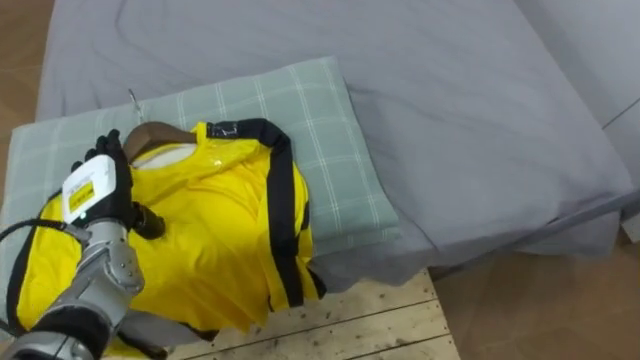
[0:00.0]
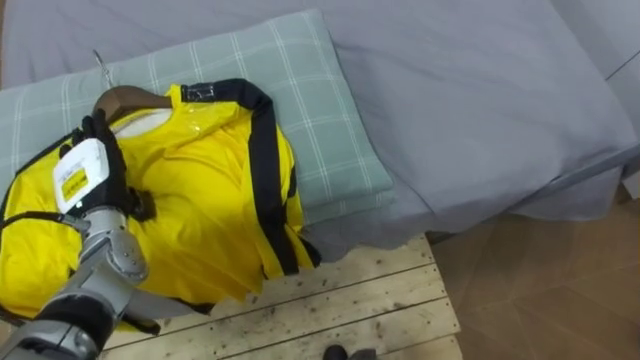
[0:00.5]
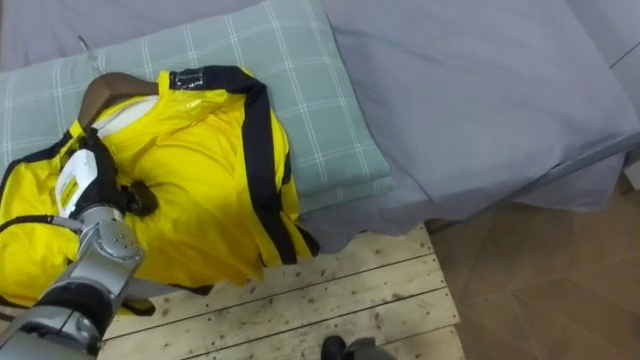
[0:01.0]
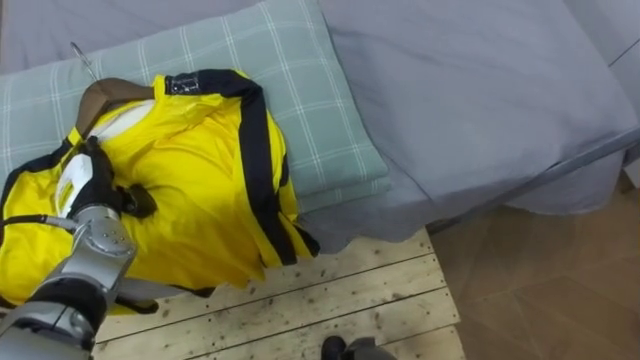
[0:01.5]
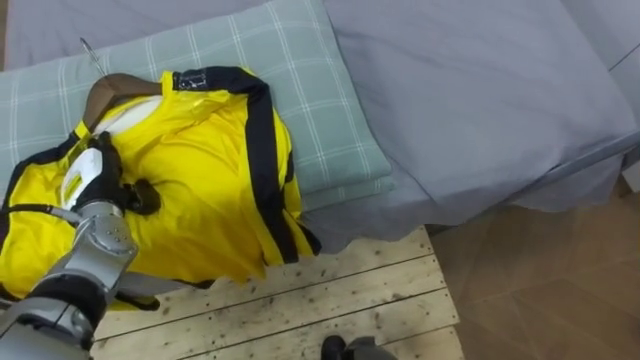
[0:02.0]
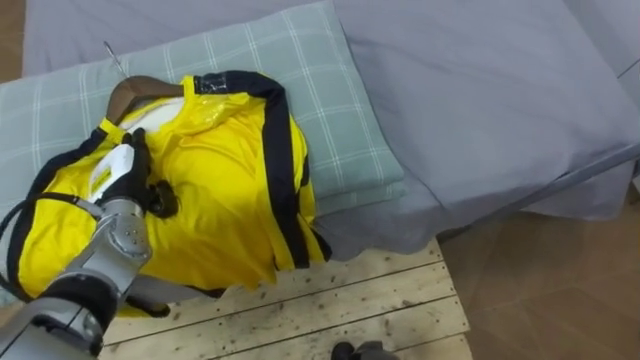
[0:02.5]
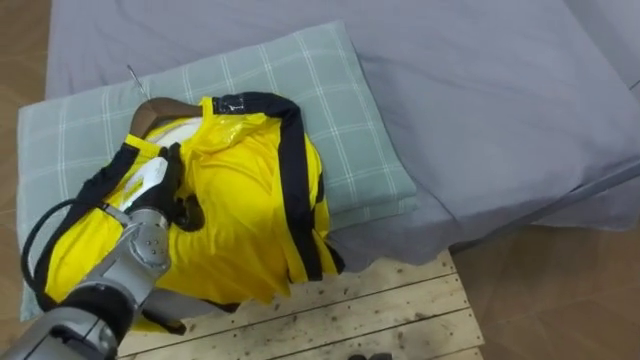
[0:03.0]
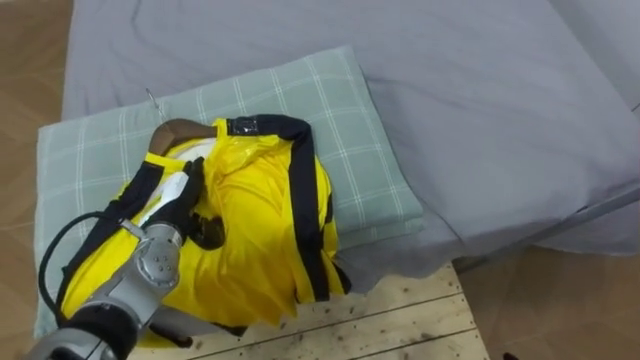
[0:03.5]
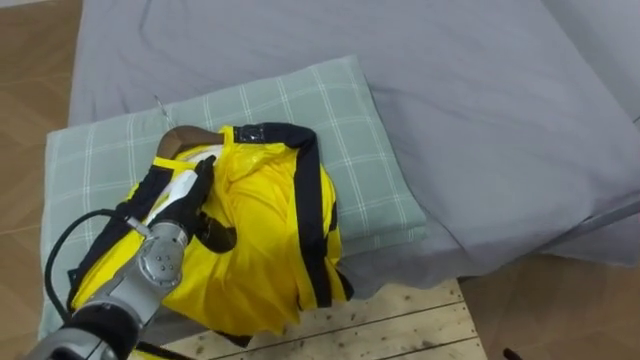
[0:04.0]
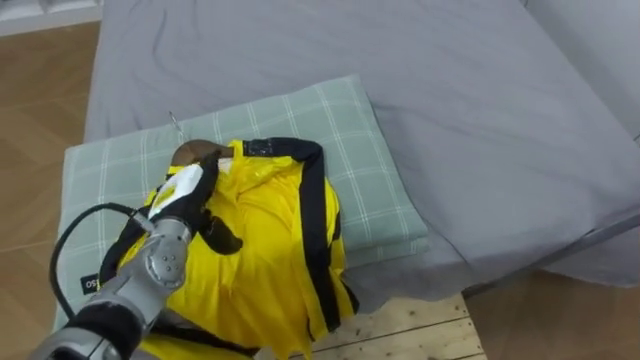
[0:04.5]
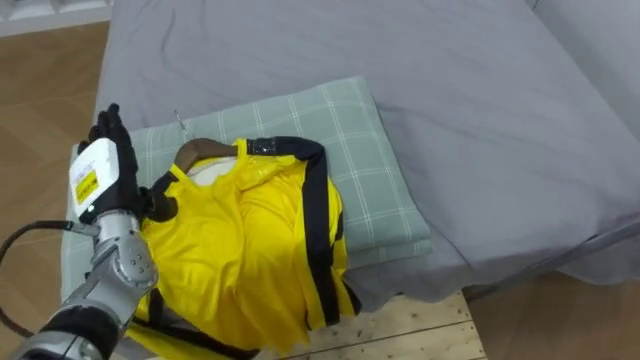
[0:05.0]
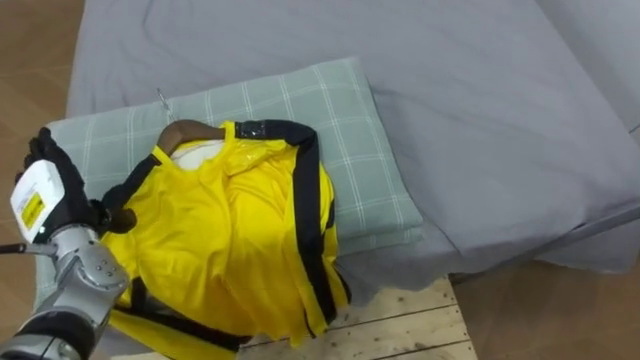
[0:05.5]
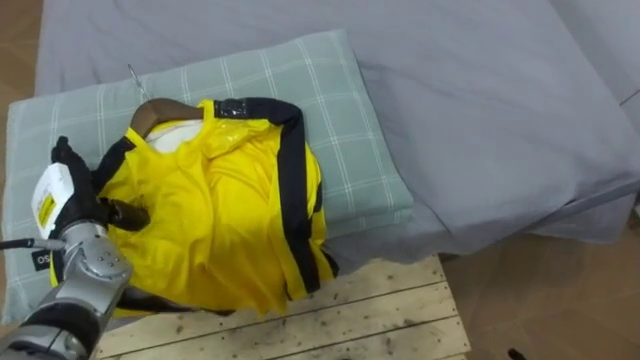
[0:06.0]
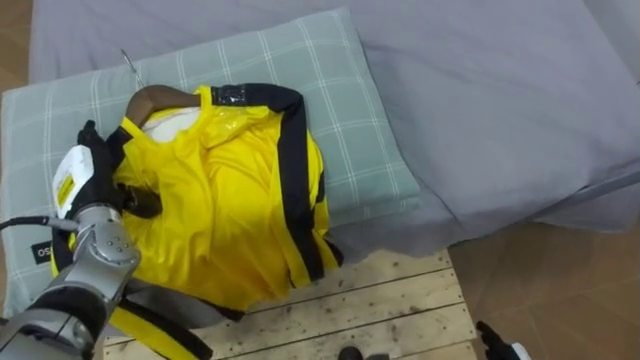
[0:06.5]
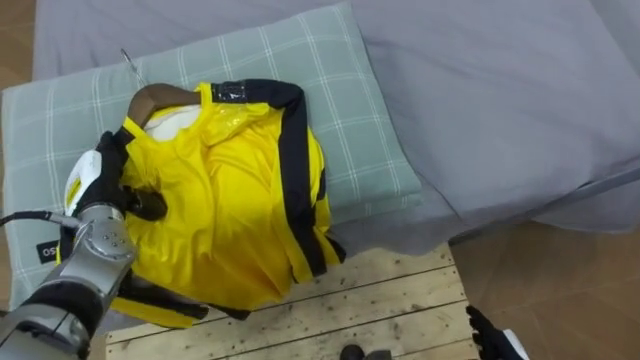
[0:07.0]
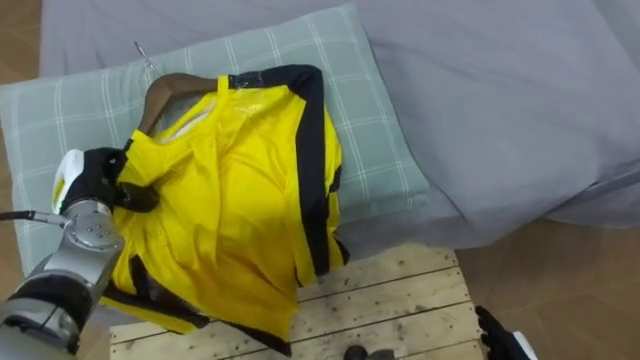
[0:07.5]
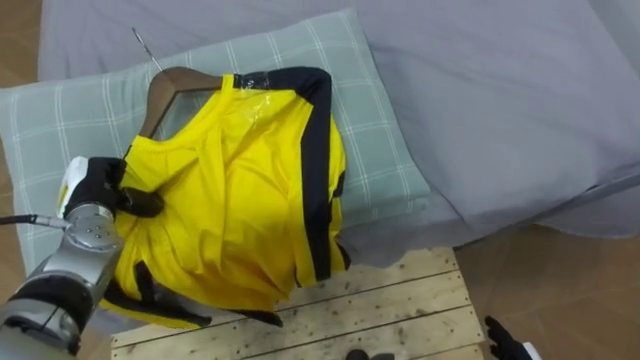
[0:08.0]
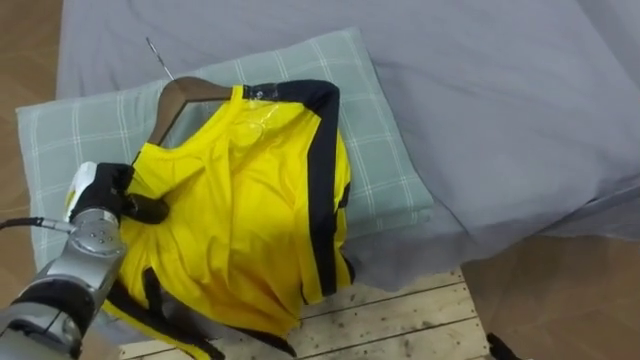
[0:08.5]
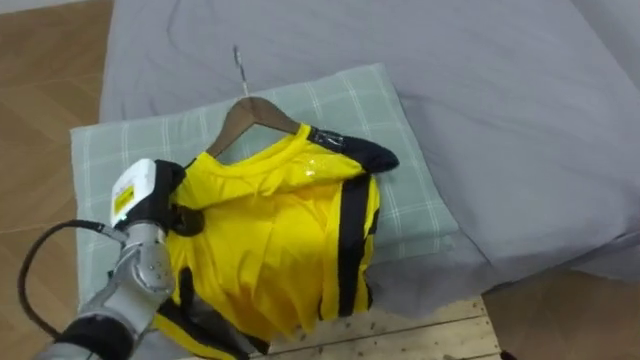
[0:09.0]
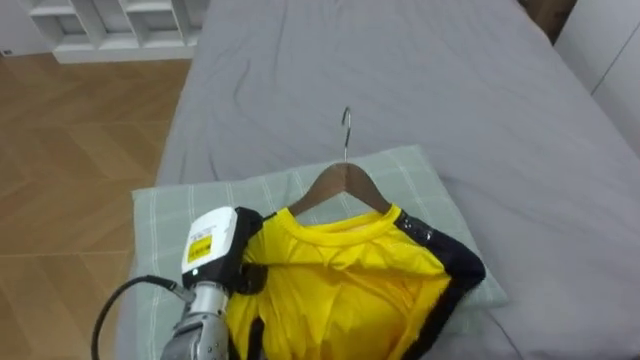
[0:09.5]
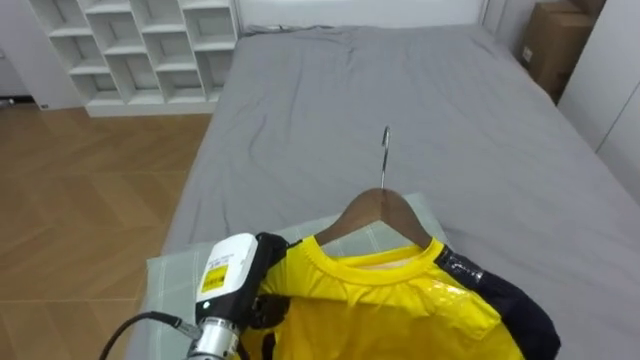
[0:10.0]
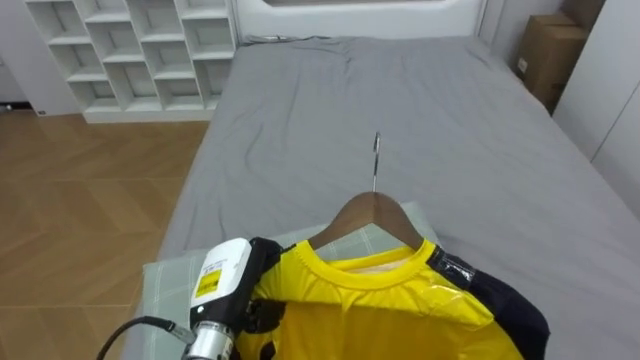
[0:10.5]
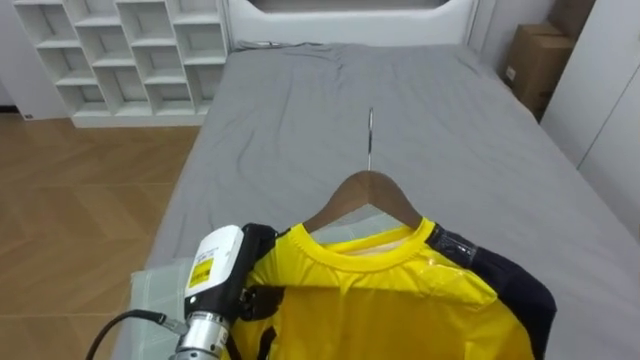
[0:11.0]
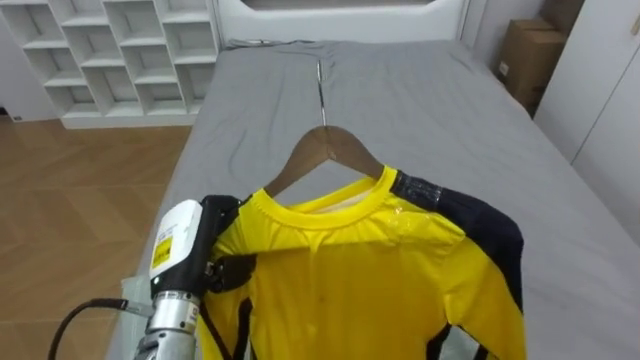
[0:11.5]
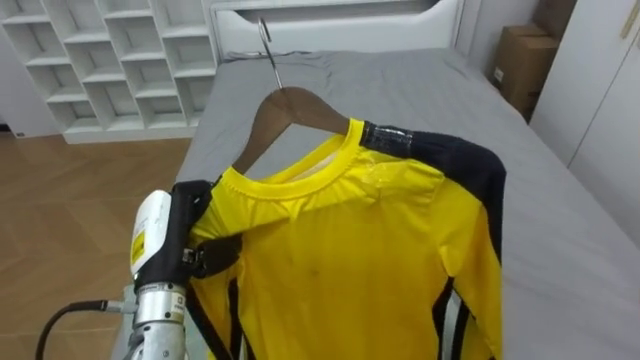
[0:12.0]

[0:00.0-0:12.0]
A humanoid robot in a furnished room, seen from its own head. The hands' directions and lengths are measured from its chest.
Task of the whole recording: Pick up the yellow shirt on the bed and hang it on the clothes rack on the right.
0:02.0 to 0:04.0: The left hand heads to the right, covering some 10 cm.
0:04.0 to 0:06.0: The left hand heads to the left, covering about 10 cm.
0:06.0 to 0:08.0: The left hand closes.
0:08.0 to 0:10.0: The left hand shifts some 20 cm to the right and backward.
0:10.0 to 0:12.0: The left hand goes approximately 10 cm to the left and upward.

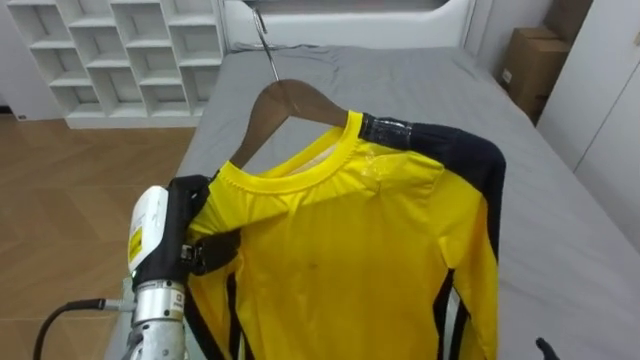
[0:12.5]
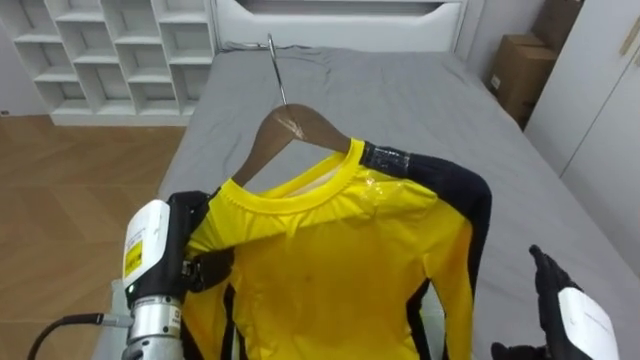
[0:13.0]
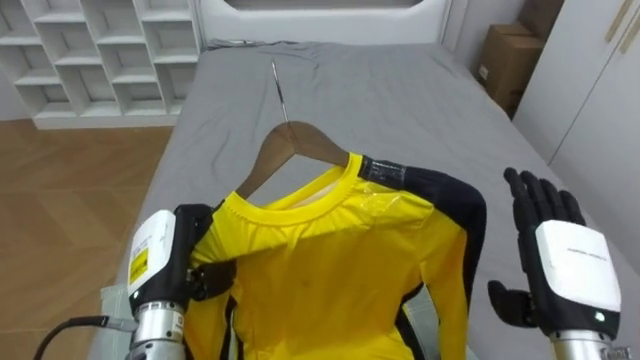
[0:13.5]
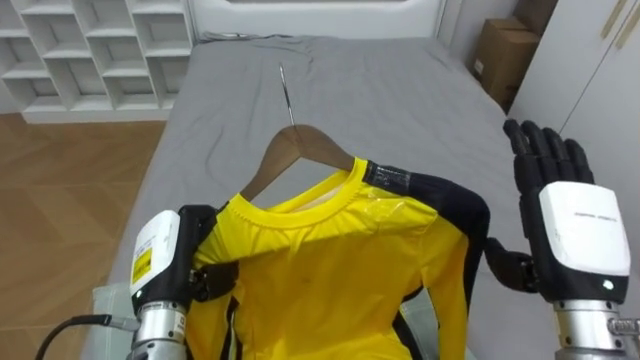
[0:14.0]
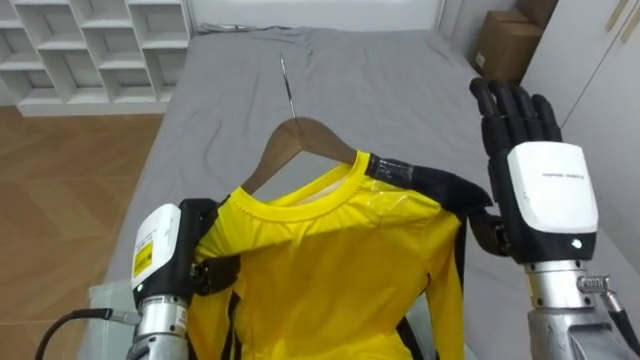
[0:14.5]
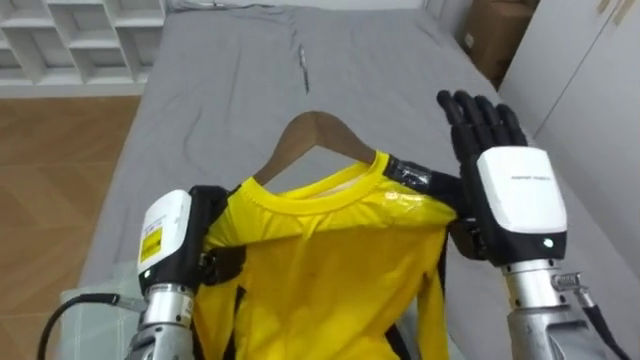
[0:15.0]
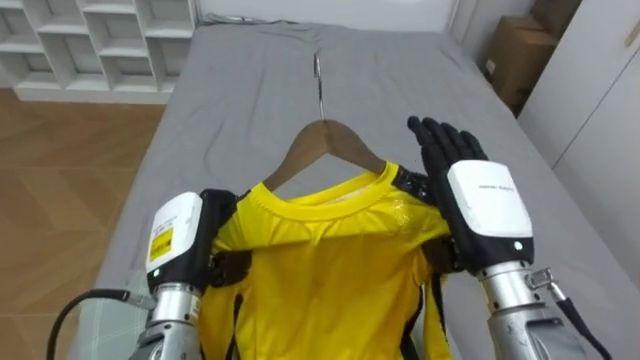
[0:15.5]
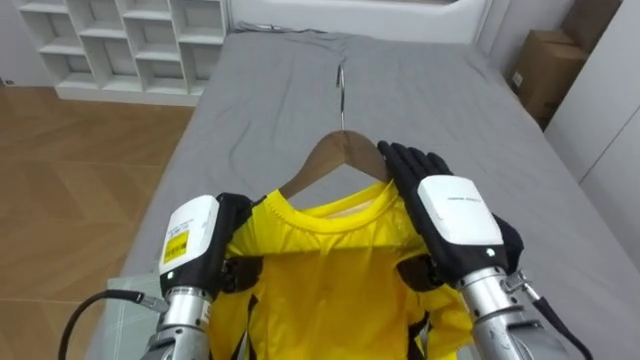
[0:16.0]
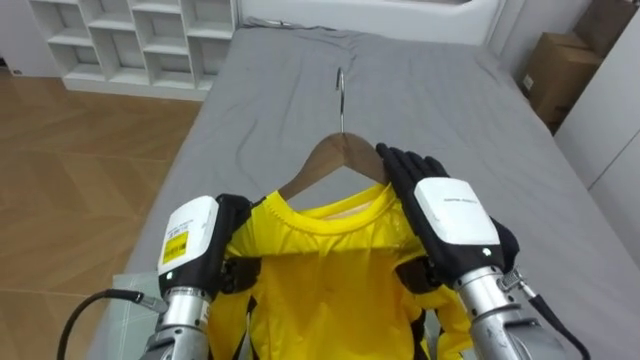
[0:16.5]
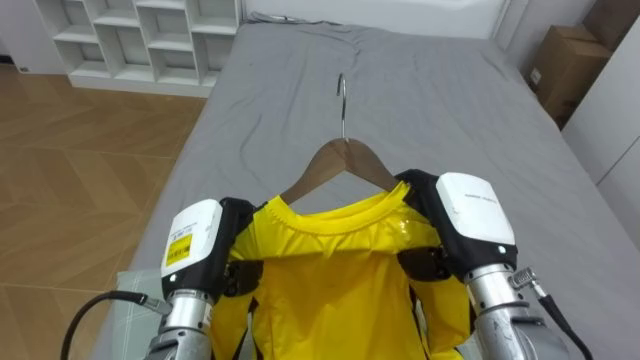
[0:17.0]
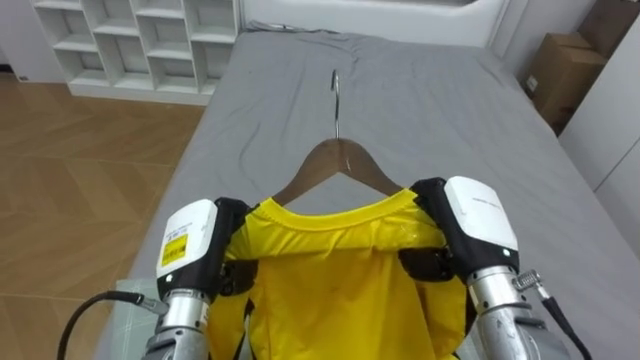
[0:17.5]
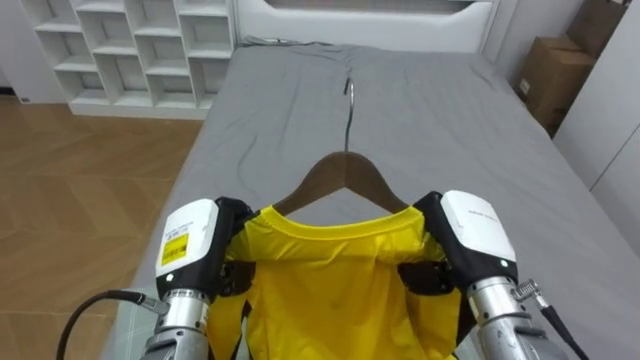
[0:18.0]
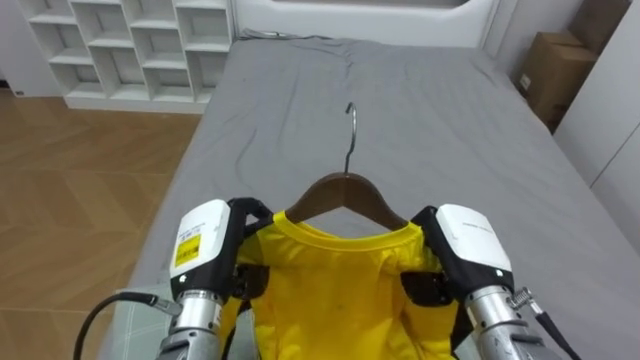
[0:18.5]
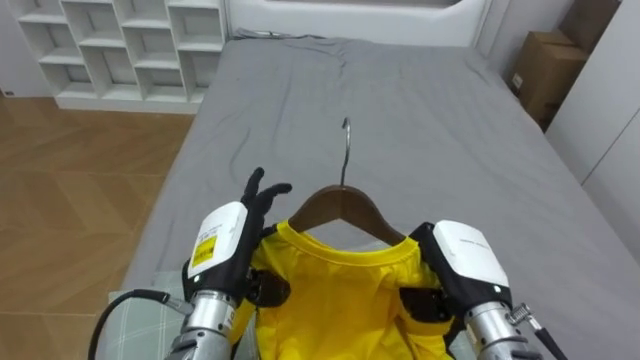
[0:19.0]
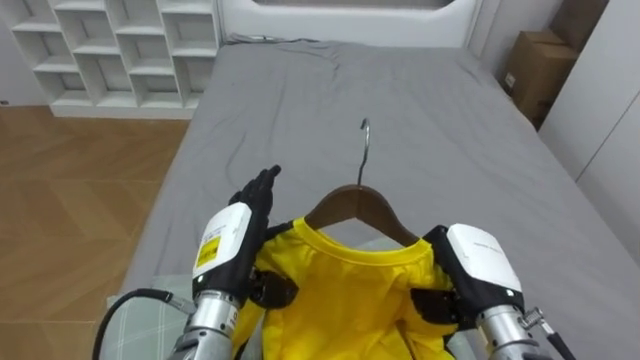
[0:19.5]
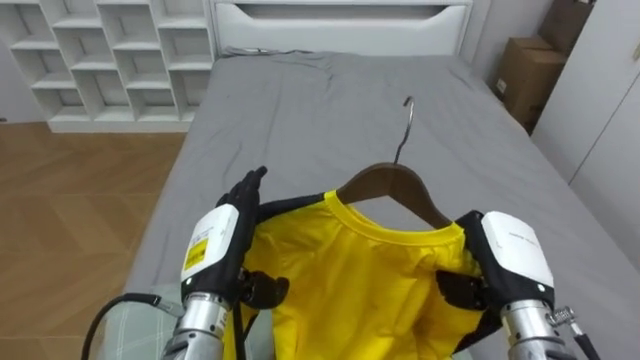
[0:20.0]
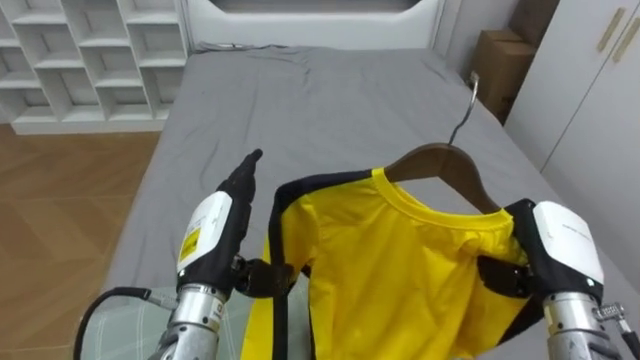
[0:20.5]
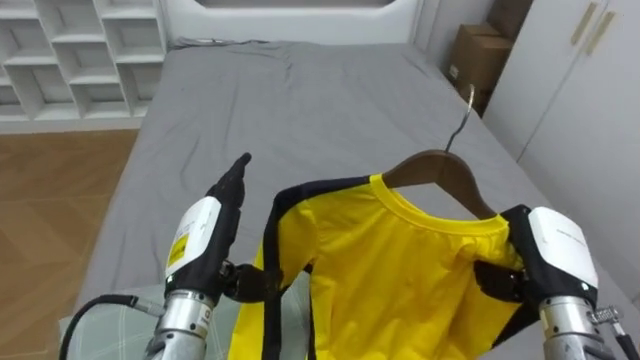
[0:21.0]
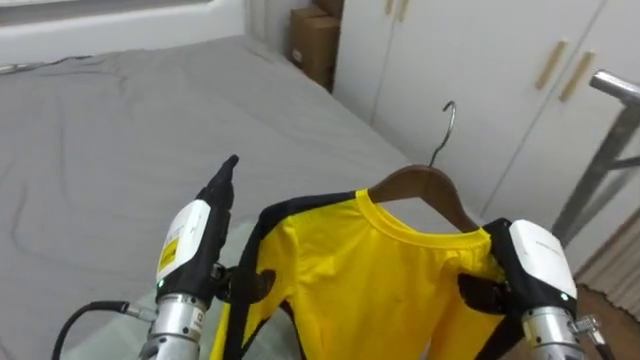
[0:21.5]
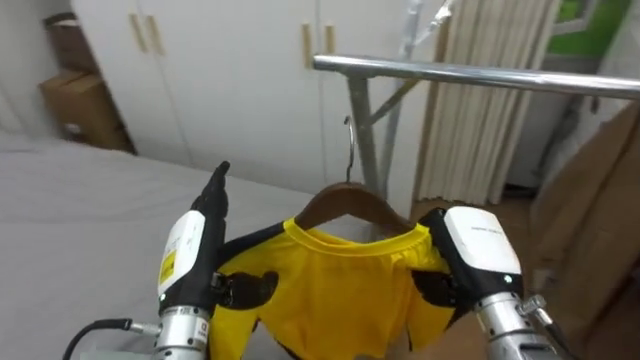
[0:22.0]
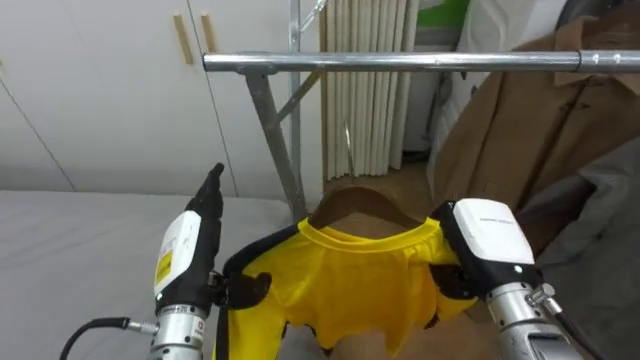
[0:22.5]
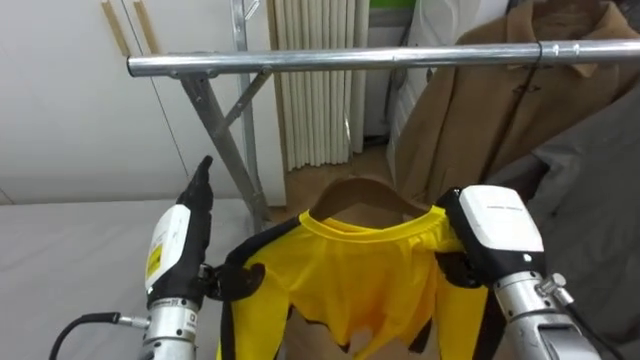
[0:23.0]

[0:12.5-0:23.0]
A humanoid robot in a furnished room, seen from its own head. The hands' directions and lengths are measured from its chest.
Task of the whole recording: Pick up the yellow shirt on the bed and hang it on the clothes rack on the right.
0:14.5 to 0:16.5: The right hand is displaced to the left and downward by roughly 10 cm.
0:16.5 to 0:19.0: The left hand opens up, while the right hand shifts approximately 5 cm downward, and closes.
0:19.0 to 0:21.0: The right hand is displaced to the right by approximately 10 cm.
0:21.0 to 0:23.0: The robot rotates roughly 85 degrees to its right. The right hand travels to the left by roughly 5 cm.
